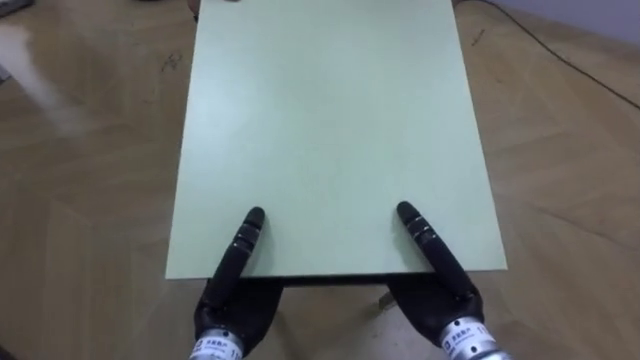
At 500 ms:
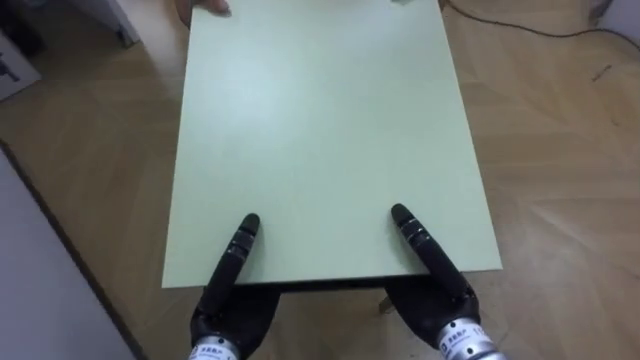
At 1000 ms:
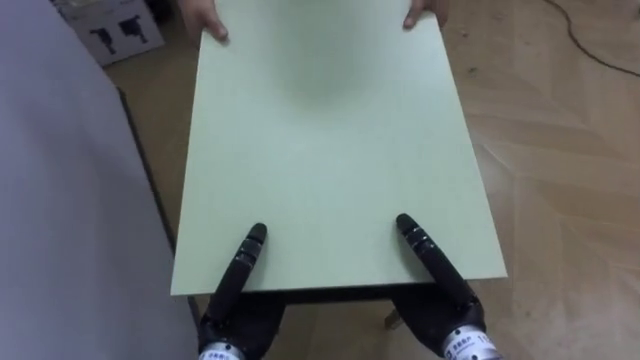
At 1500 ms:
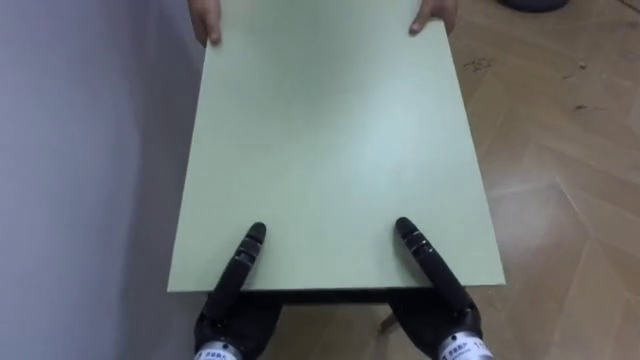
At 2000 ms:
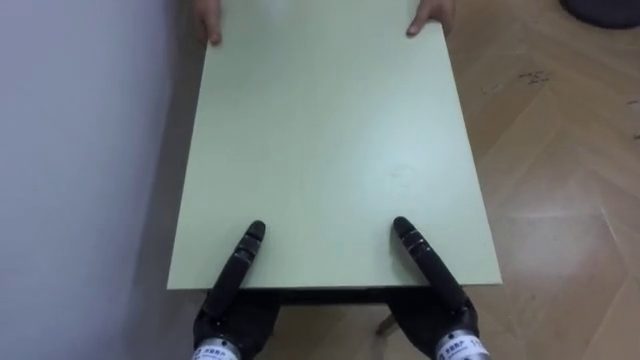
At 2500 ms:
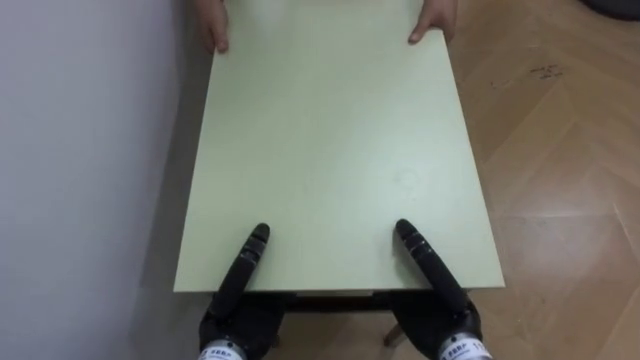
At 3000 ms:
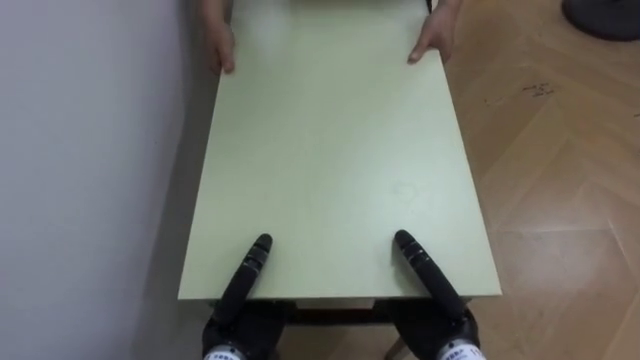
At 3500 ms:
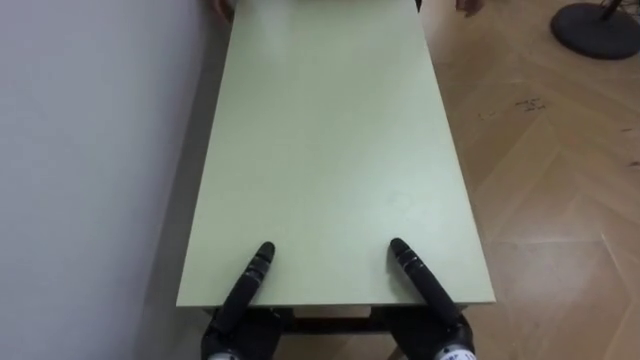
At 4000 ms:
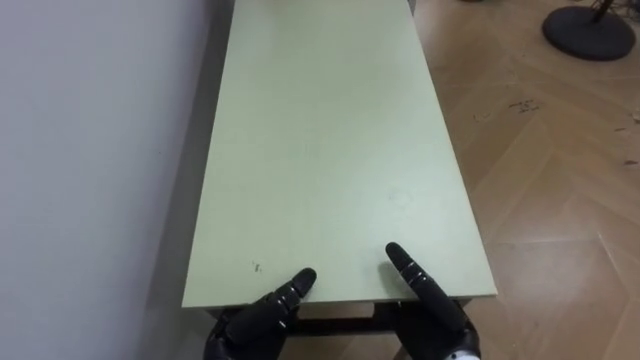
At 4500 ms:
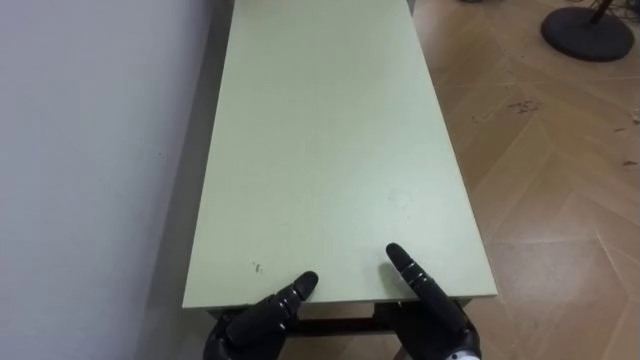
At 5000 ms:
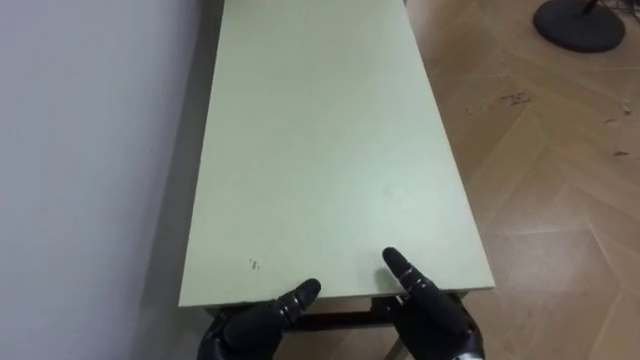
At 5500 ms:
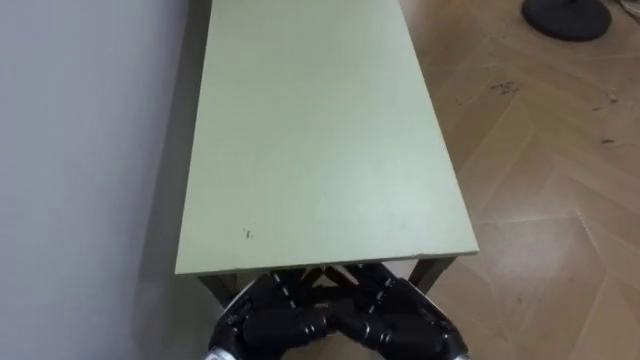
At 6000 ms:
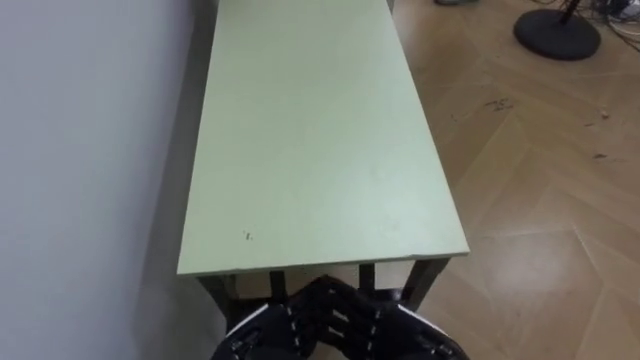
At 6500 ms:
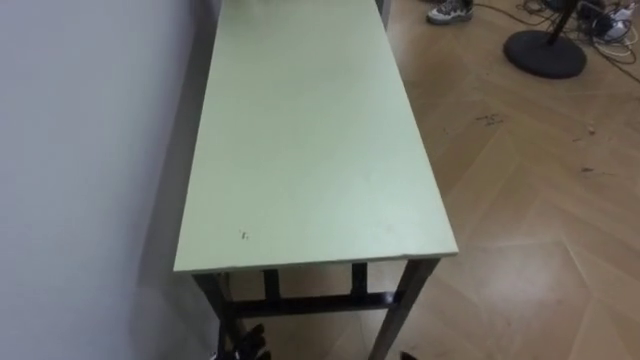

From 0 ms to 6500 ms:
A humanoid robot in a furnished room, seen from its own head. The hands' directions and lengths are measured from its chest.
Task of the whole recording: Move the table to the back left with someone.
From 0 ms to 2000 ms: The robot rotates roughly 65 degrees to its left.
From 2000 ms to 4500 ms: The right hand opens. Meanwhile the left hand opens.

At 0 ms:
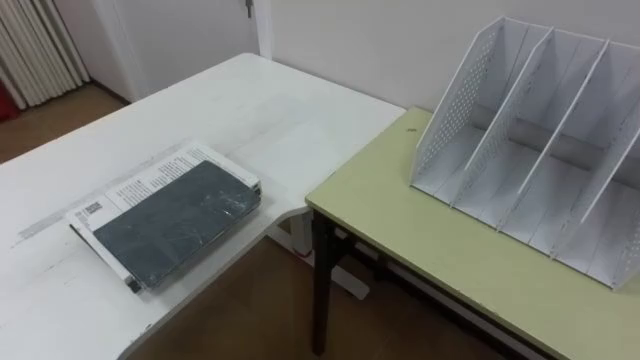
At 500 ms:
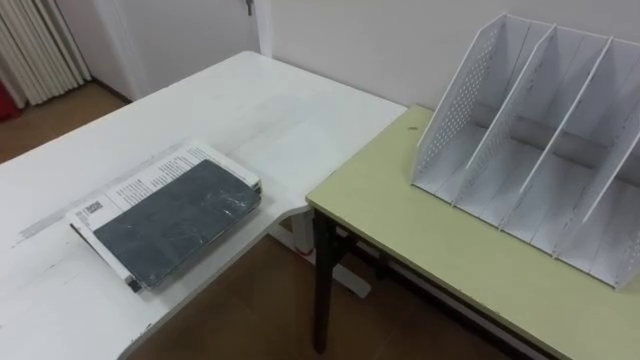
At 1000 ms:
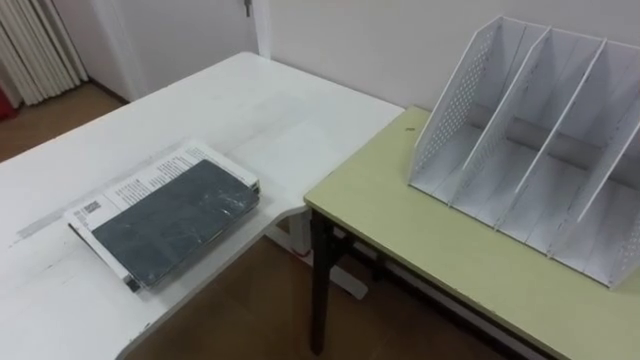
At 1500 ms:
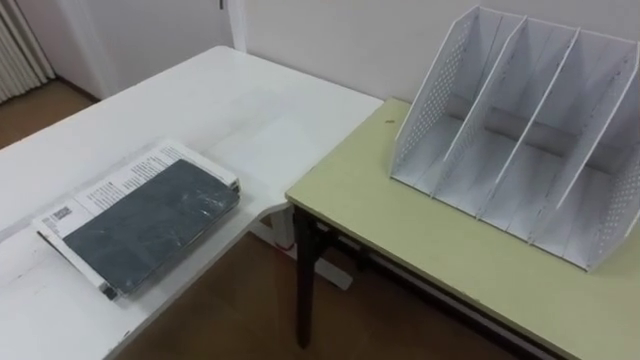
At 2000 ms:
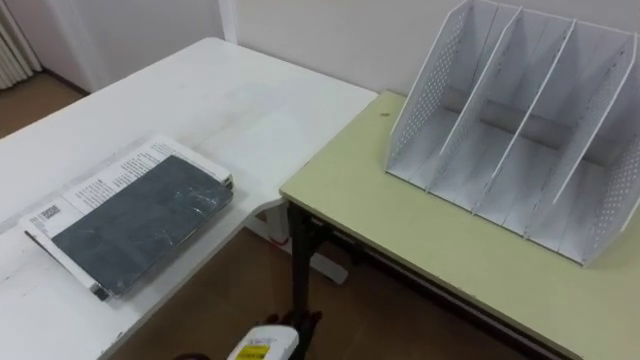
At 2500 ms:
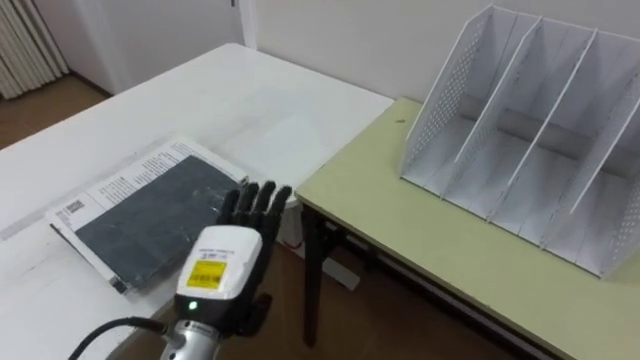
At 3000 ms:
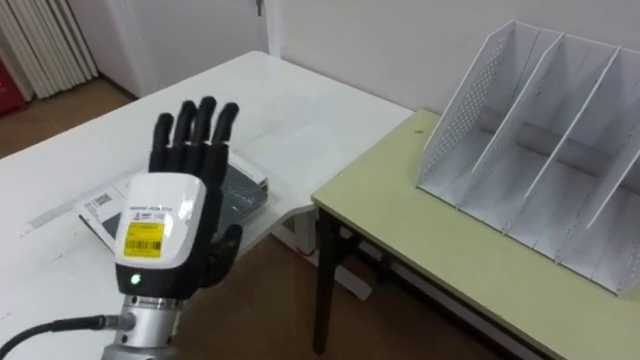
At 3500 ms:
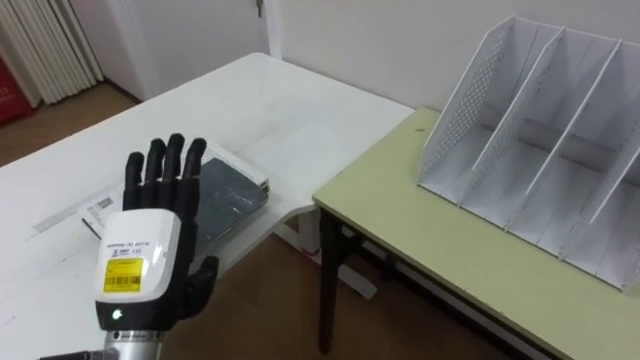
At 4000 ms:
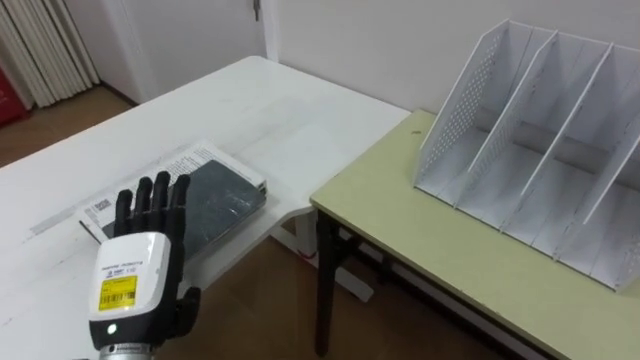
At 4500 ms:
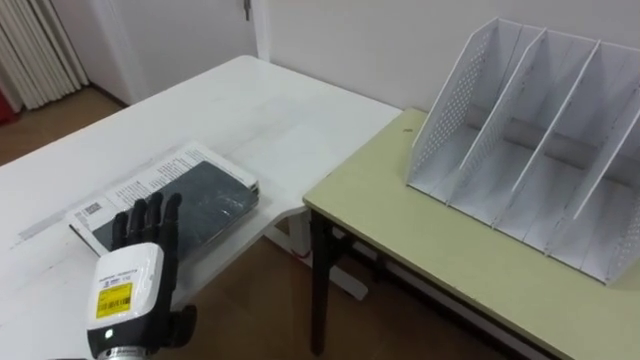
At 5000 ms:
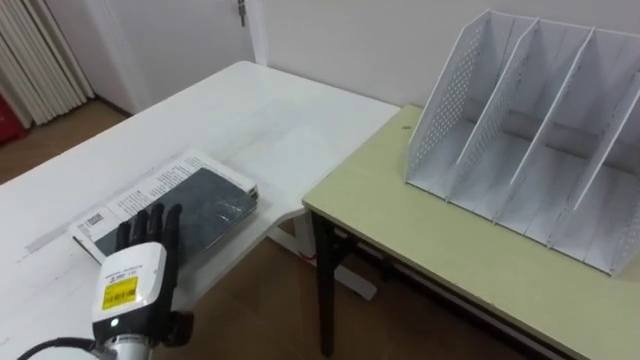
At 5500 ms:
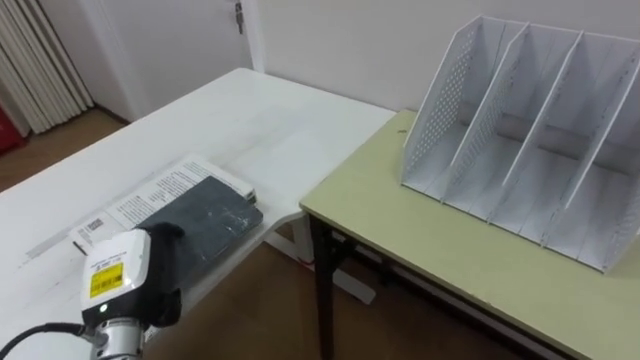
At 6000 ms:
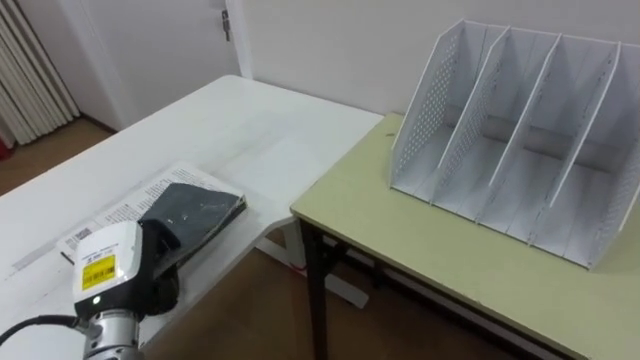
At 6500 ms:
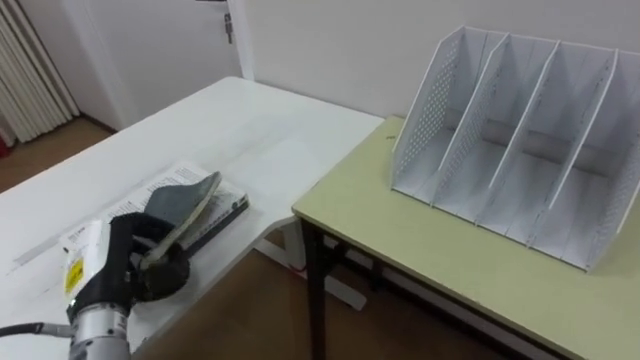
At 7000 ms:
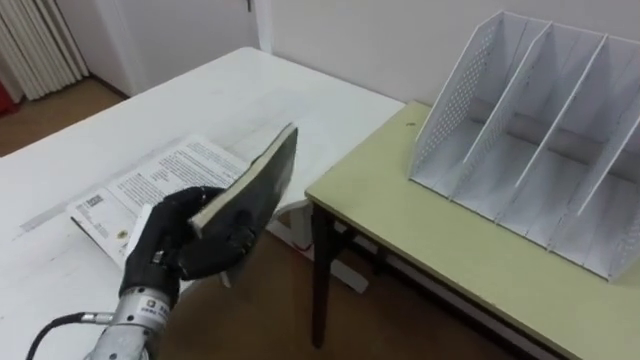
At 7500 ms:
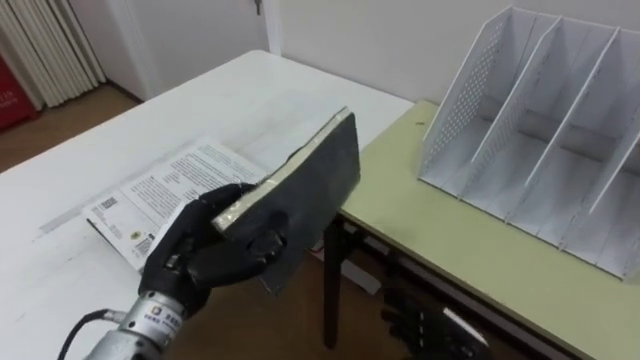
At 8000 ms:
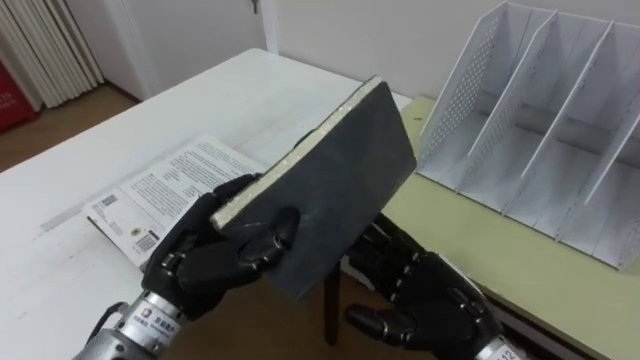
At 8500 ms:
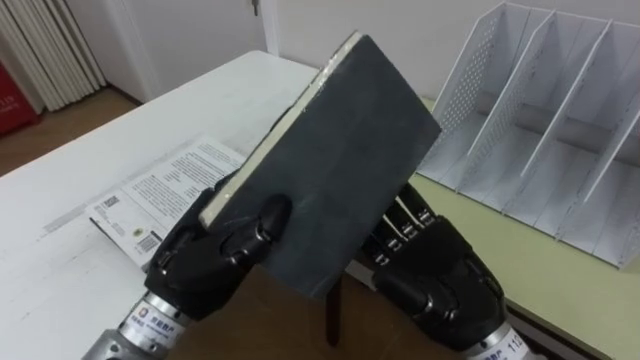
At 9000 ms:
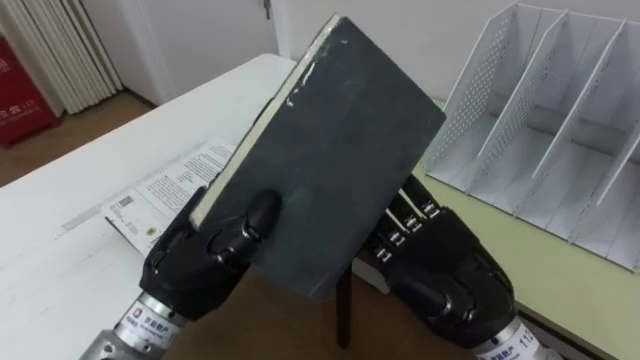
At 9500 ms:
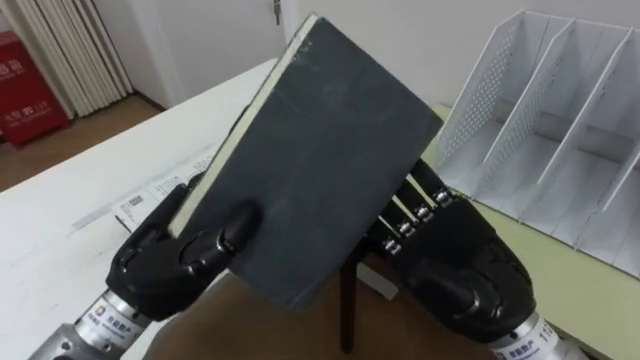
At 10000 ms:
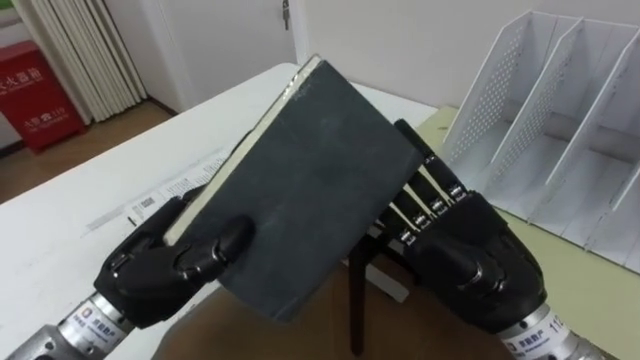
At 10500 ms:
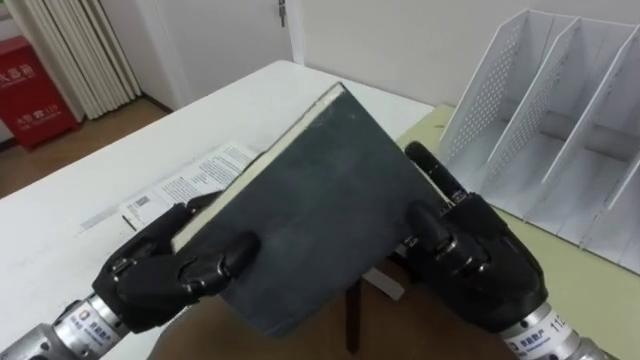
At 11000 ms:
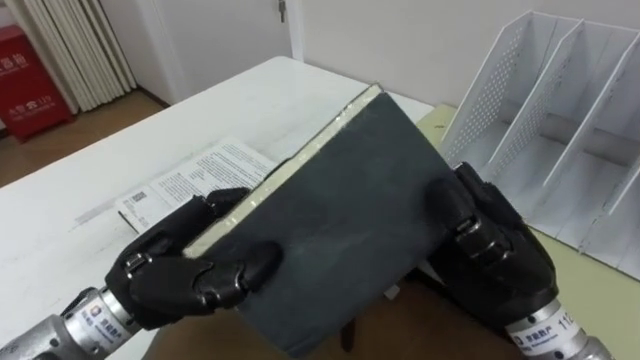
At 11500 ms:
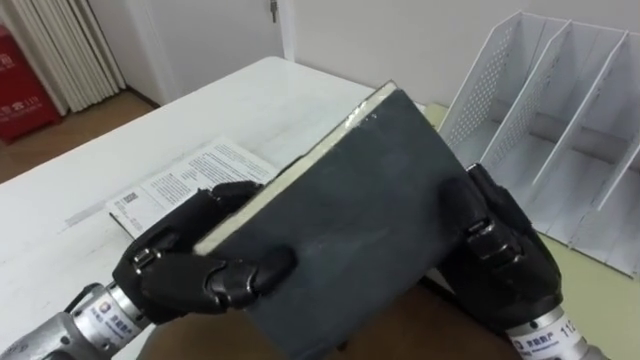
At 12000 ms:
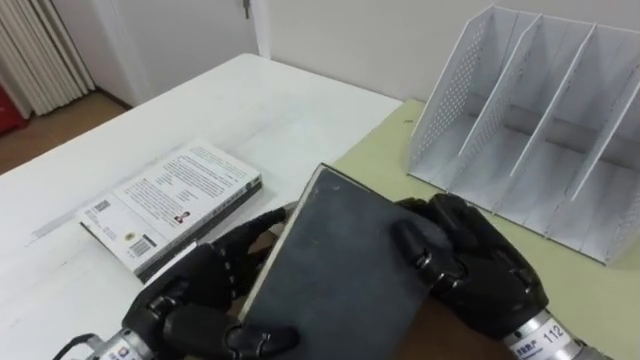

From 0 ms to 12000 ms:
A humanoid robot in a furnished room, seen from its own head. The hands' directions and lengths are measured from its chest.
Task of the whole recording: Put the books on the table onto the bookshelf.
From 4000 ms to 6000 ms: The left hand changes place by about 5 cm, and closes.
From 6000 ms to 8000 ms: The left hand heads to the right and upward, covering about 15 cm.
From 8000 ms to 10000 ms: The right hand shifts about 10 cm upward.
From 10000 ms to 12000 ms: The left hand heads downward, covering some 5 cm, and opens its fingers, while the right hand closes its fingers.

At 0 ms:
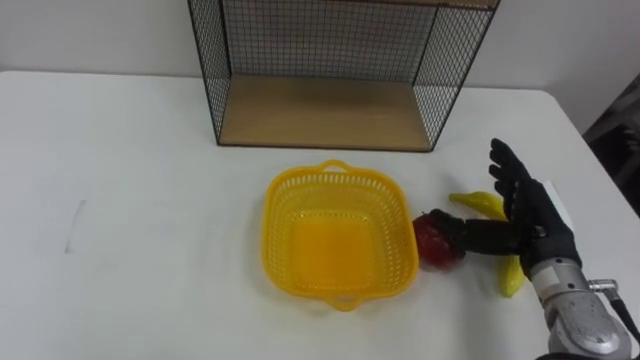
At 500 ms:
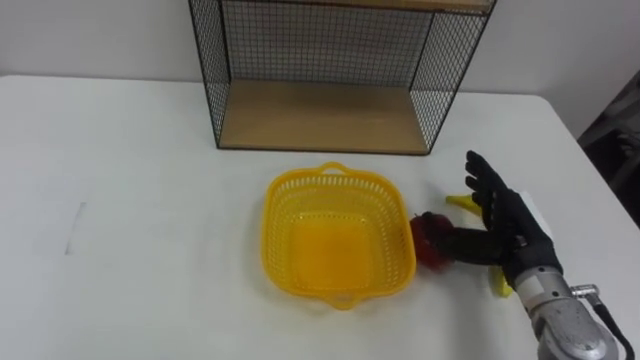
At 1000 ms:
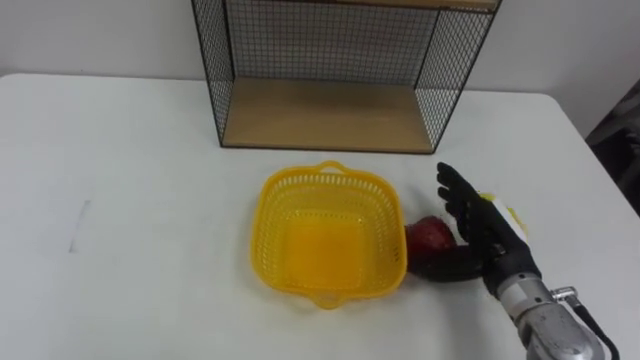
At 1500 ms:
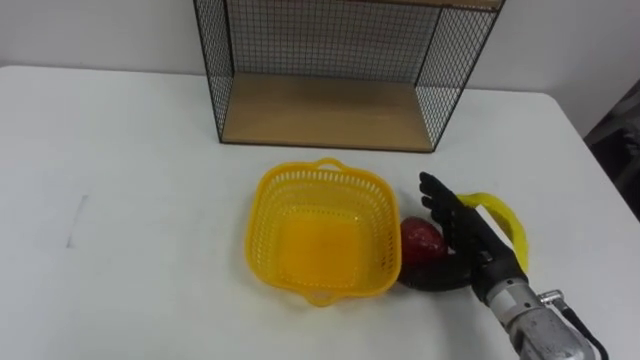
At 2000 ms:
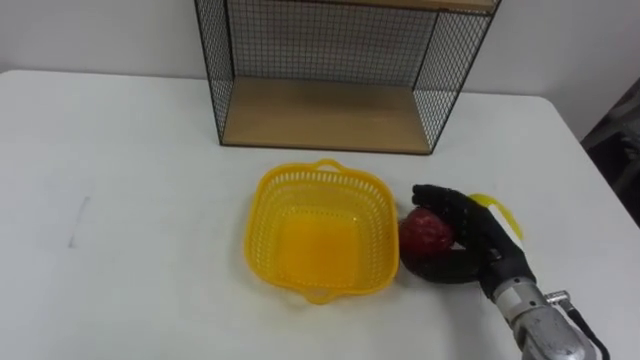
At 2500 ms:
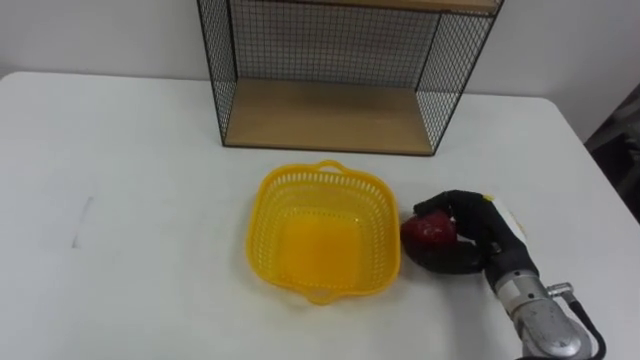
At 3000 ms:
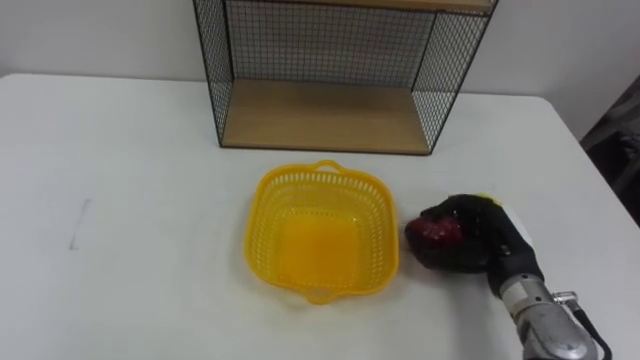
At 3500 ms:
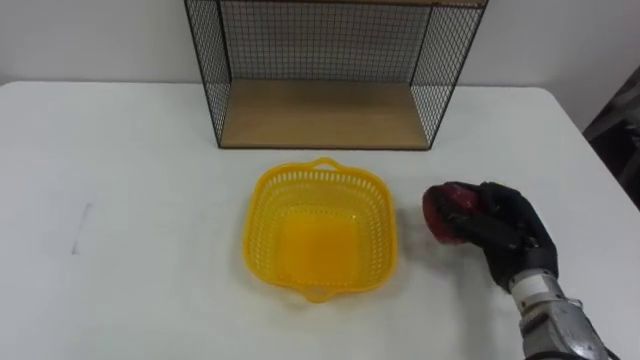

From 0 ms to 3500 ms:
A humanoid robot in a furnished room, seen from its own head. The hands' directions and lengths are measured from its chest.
Task of the whole recording: Put the fruit on the table into the basket, then place the basket on the shelf.
From 0 ms to 2000 ms: The right hand is displaced to the left by about 5 cm.
From 2000 ms to 3500 ms: The right hand closes up.
